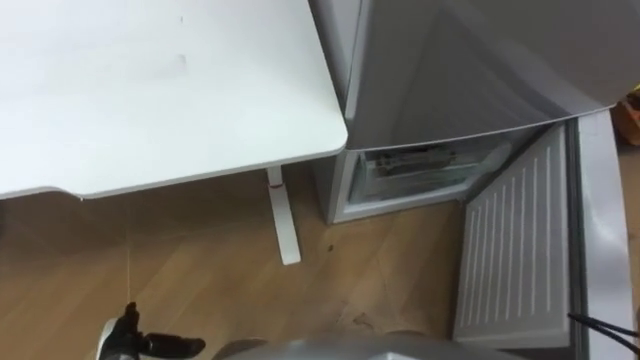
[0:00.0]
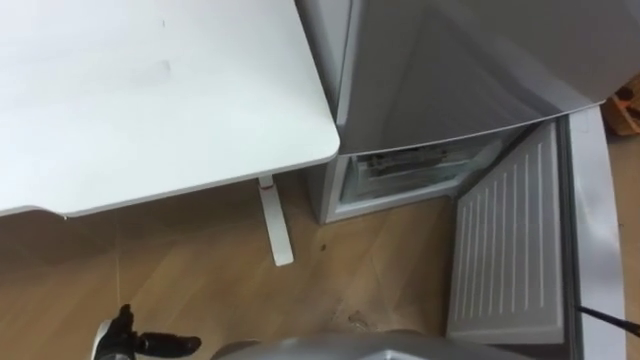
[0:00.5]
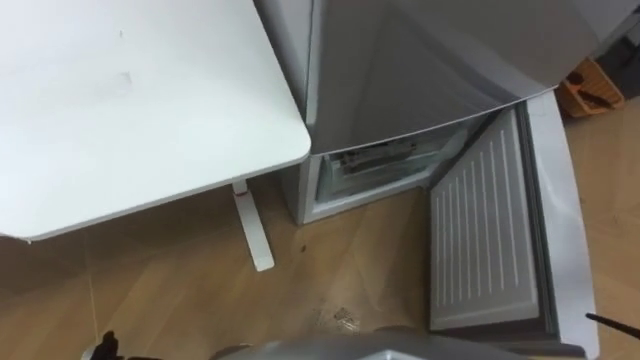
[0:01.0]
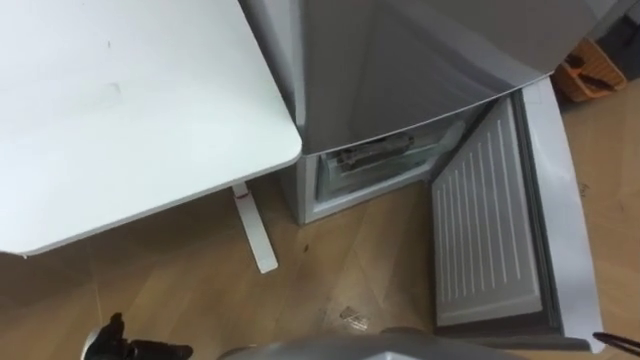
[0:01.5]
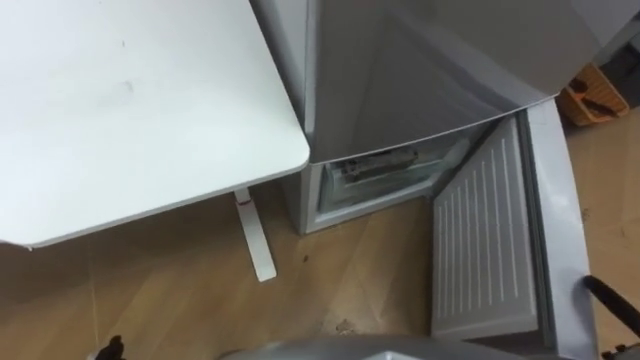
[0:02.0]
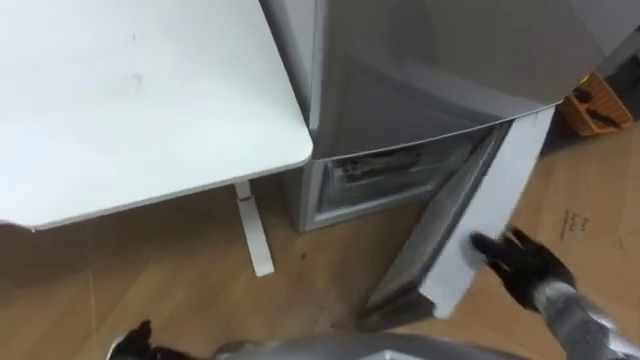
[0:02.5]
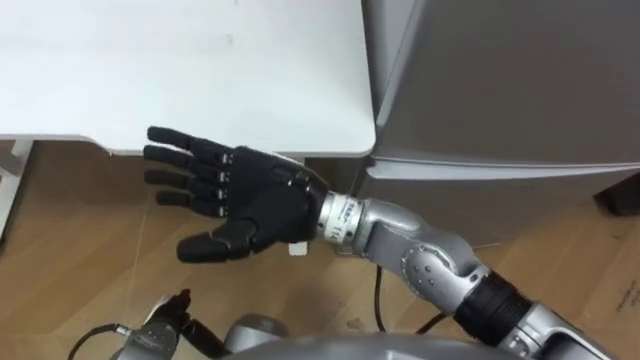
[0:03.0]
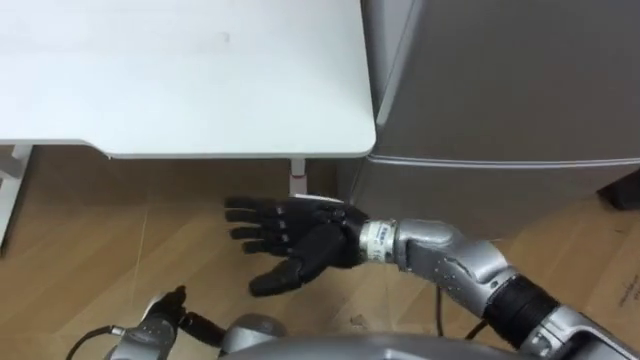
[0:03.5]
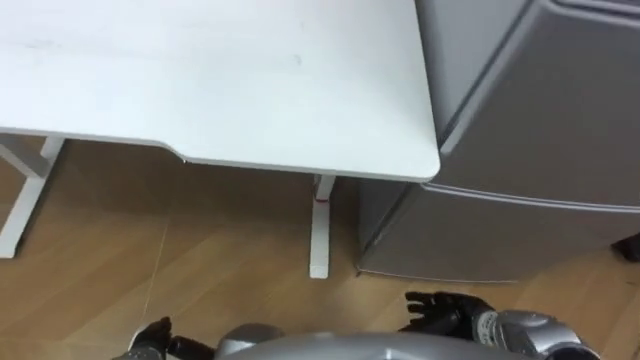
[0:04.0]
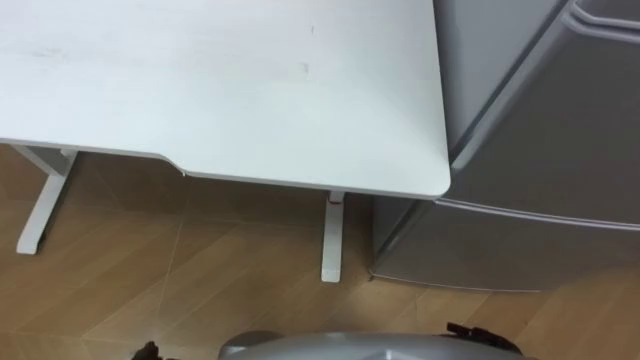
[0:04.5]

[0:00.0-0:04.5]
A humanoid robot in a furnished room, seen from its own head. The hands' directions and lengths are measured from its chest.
Task of the whole recording: Place the drink on the table on the bottom shelf of the refrigerator, then close the drawer and the refrigerator door.
0:02.0 to 0:04.5: The robot faces about 15 degrees further to its left.

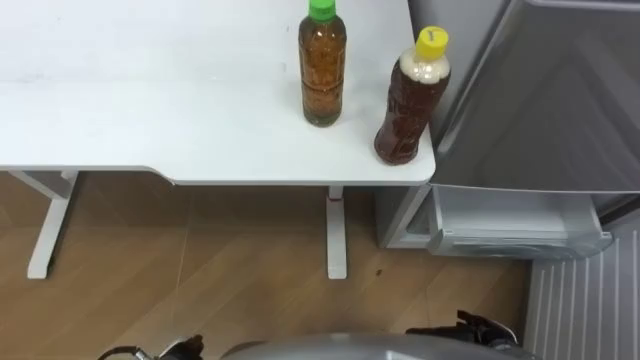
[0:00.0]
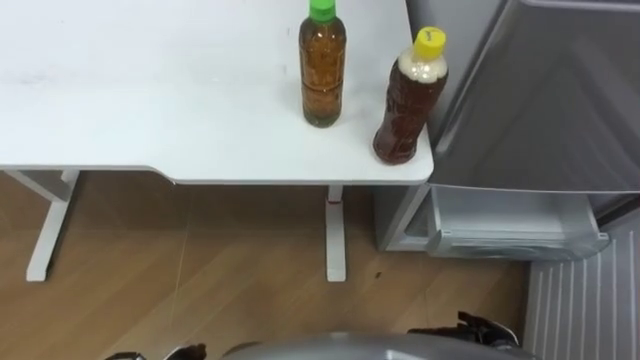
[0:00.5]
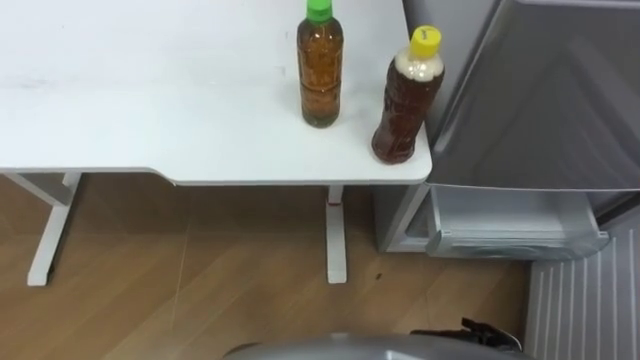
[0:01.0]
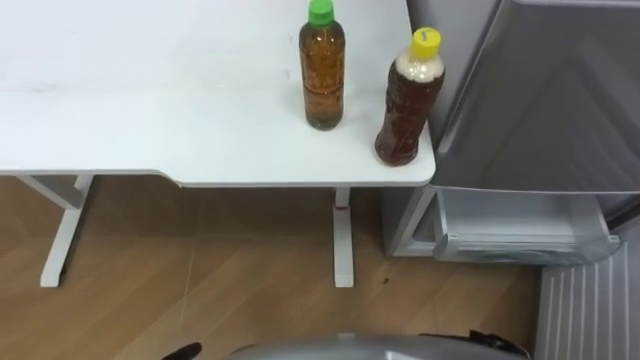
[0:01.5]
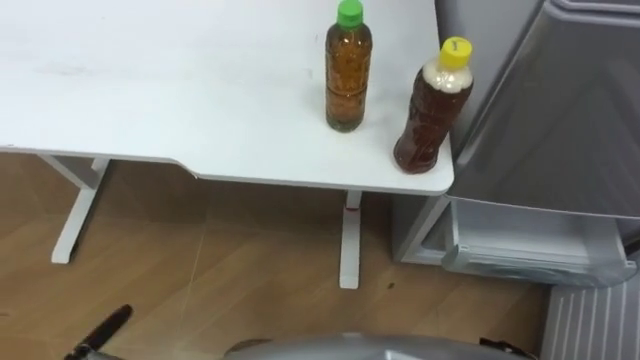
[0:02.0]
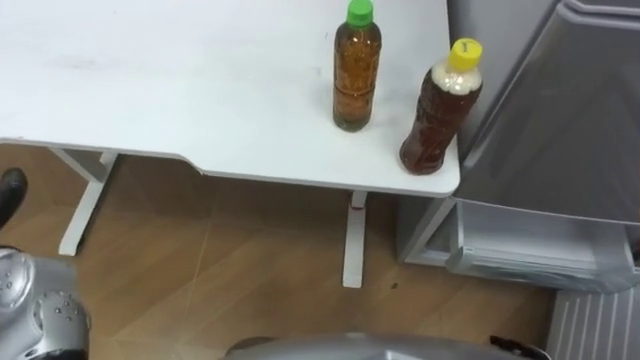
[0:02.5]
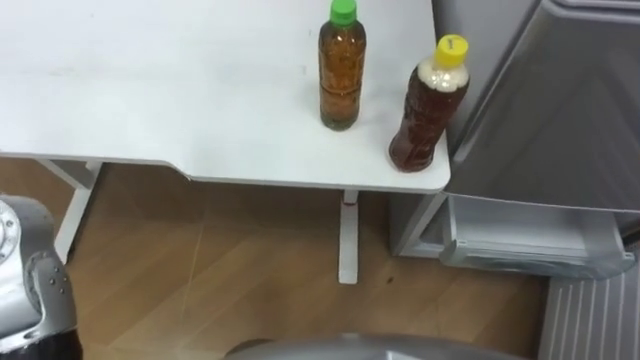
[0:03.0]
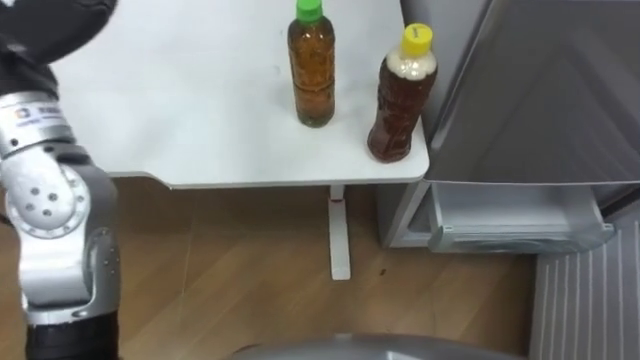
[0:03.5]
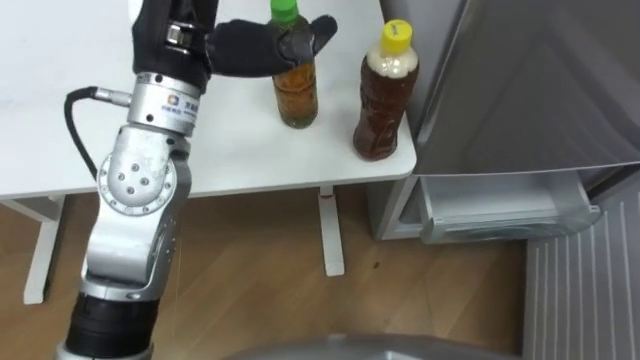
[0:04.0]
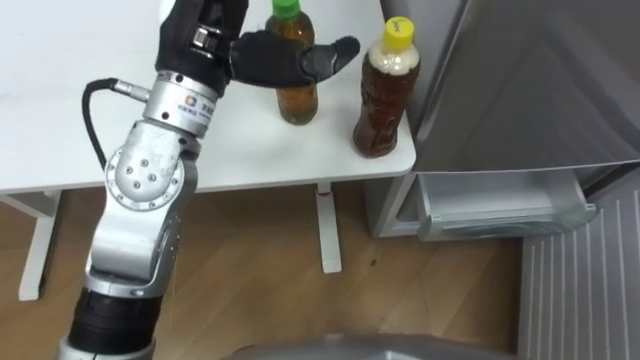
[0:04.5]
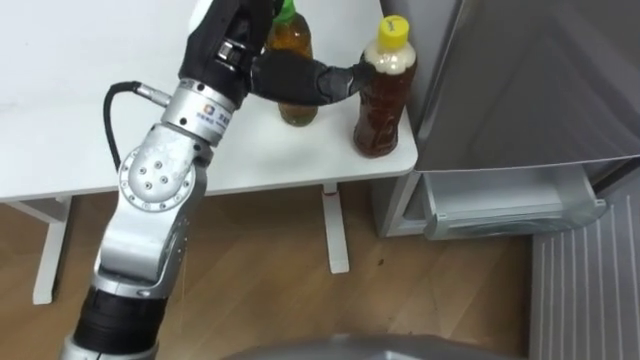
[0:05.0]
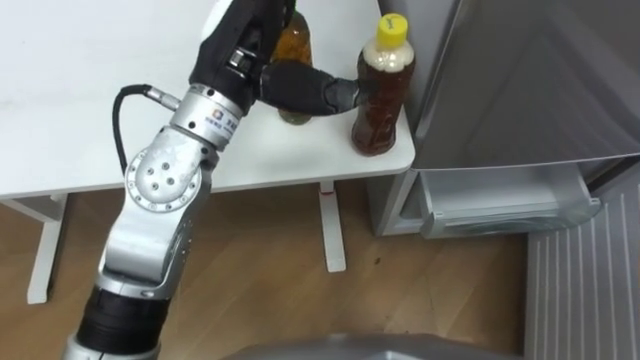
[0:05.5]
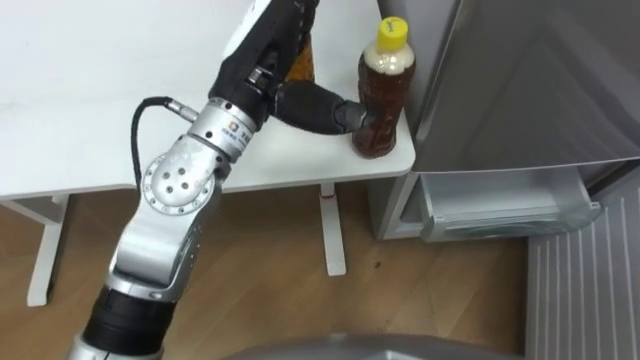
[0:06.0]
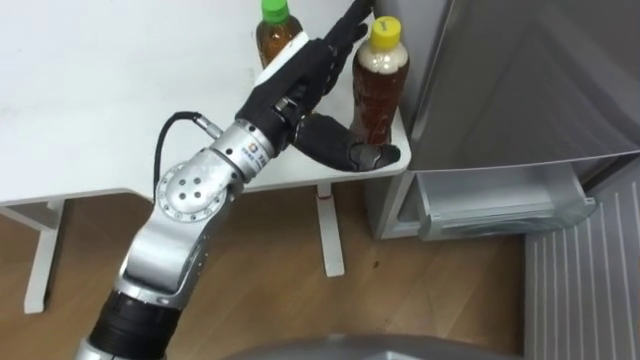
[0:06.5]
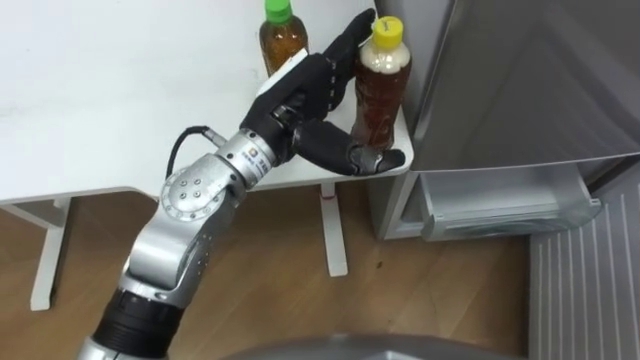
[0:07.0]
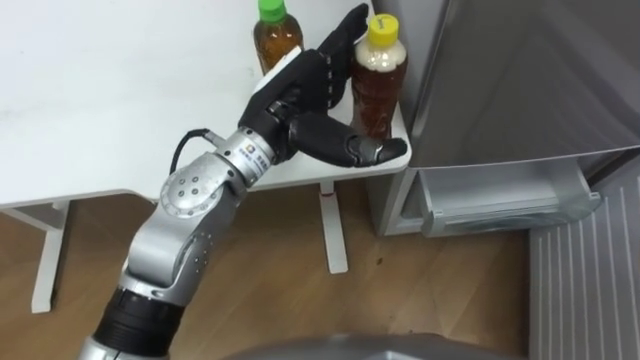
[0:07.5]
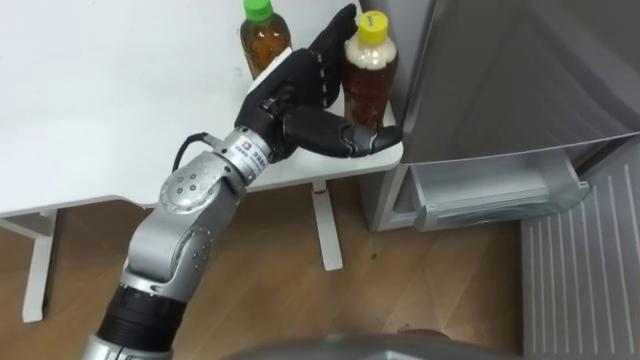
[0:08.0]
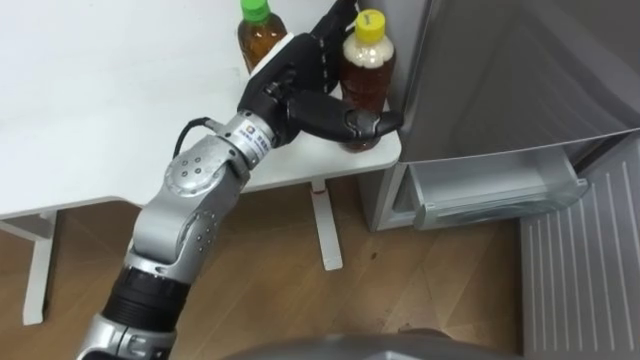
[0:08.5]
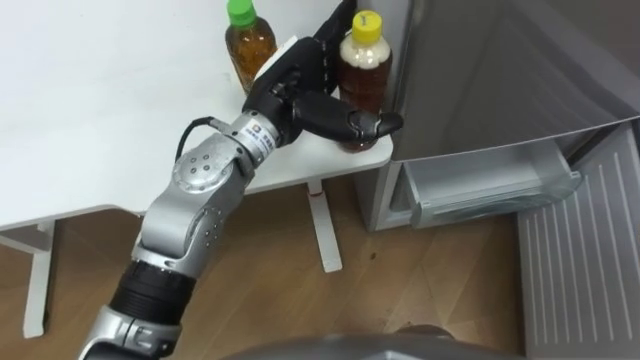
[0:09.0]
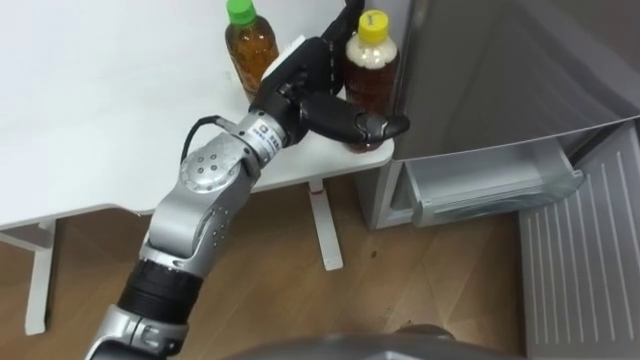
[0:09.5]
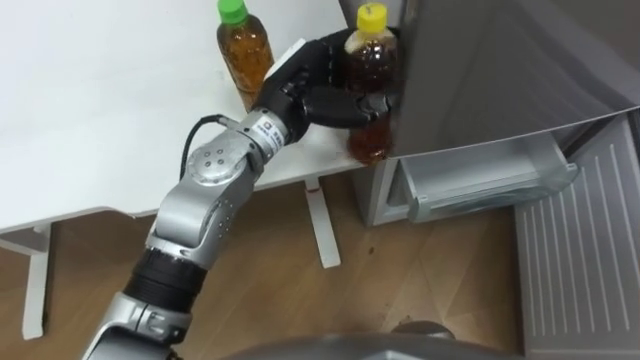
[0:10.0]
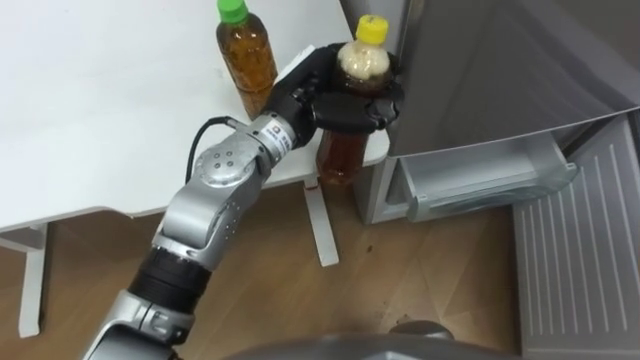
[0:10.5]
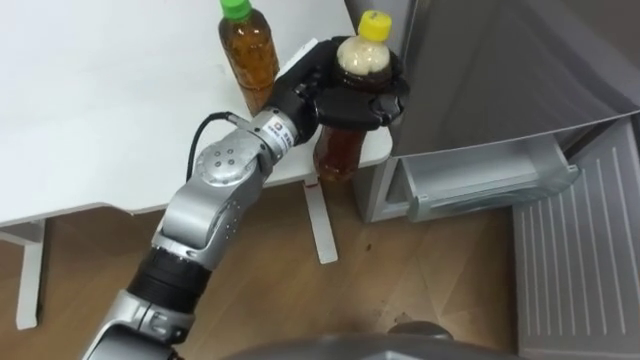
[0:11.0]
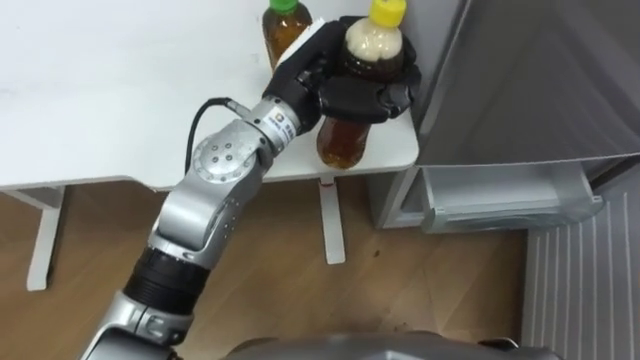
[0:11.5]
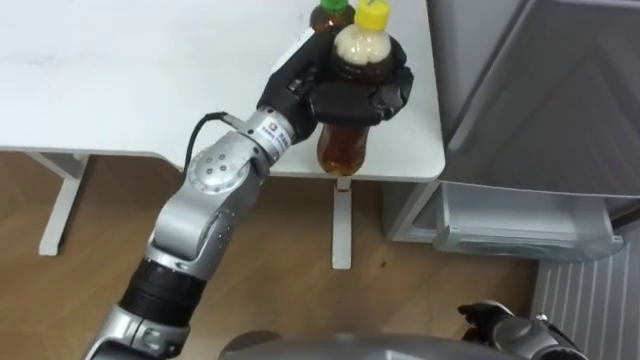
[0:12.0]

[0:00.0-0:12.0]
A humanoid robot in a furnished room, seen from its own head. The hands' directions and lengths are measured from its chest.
Task of the whole recording: Place the drink on the table on the bottom shelf of the refrigerator, then close the drawer and the refrigerator door.
0:04.0 to 0:06.0: The left hand heads to the right and downward, covering about 10 cm.
0:06.0 to 0:08.0: The left hand heads downward, covering about 5 cm.
0:08.0 to 0:10.0: The left hand closes.
0:10.0 to 0:12.0: The left hand closes.

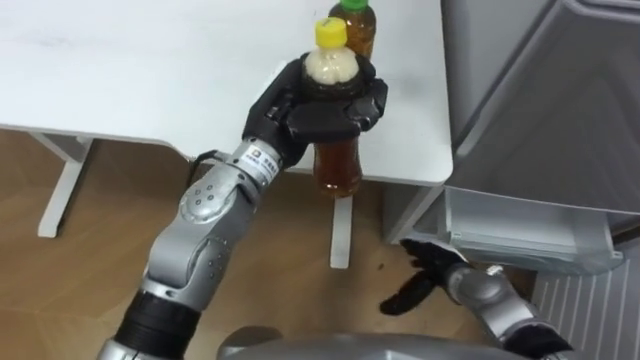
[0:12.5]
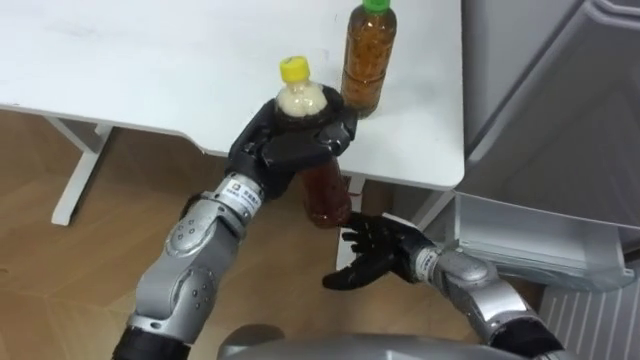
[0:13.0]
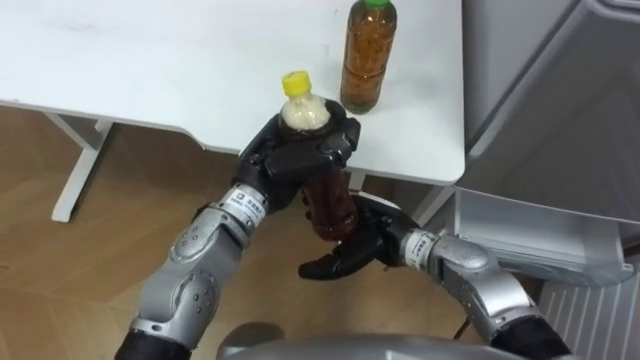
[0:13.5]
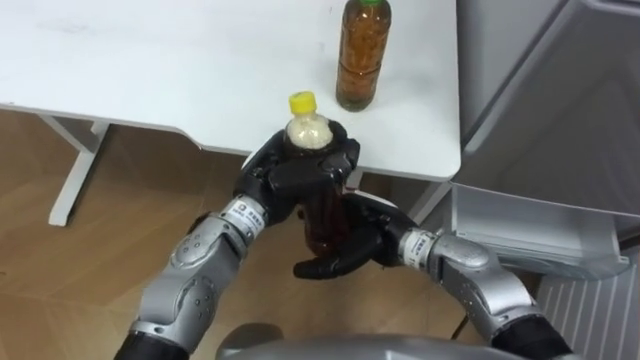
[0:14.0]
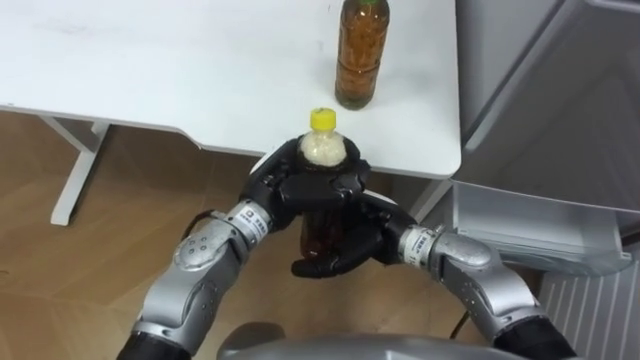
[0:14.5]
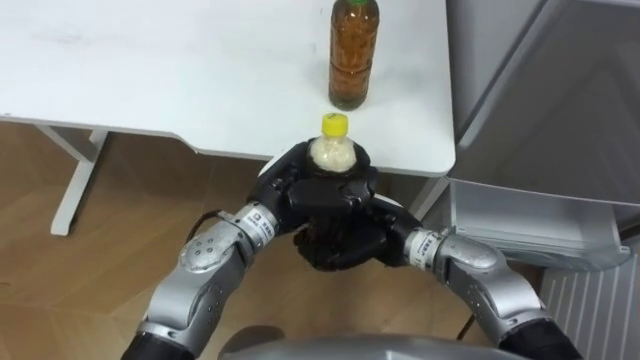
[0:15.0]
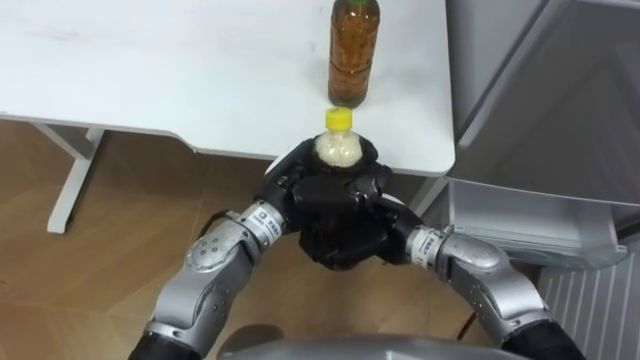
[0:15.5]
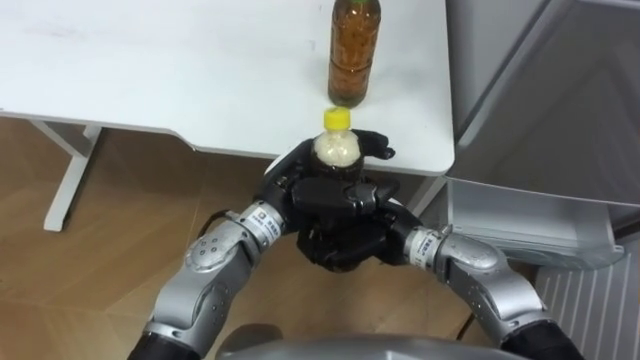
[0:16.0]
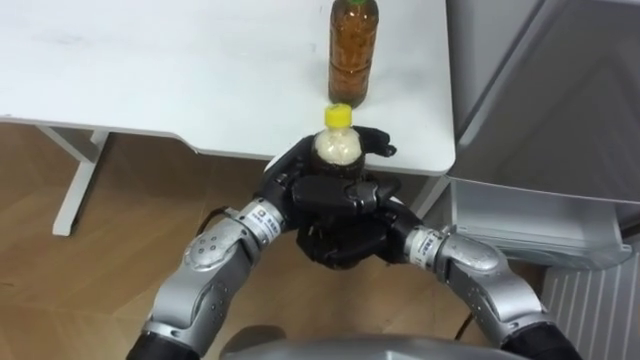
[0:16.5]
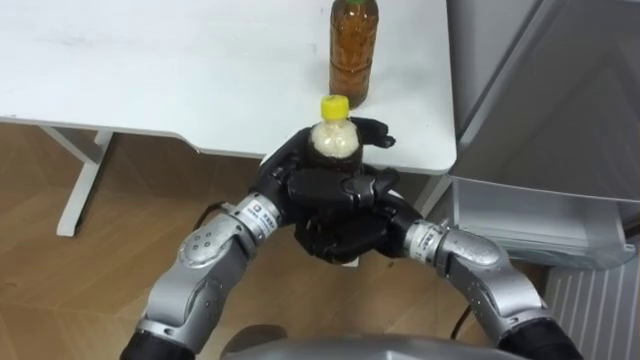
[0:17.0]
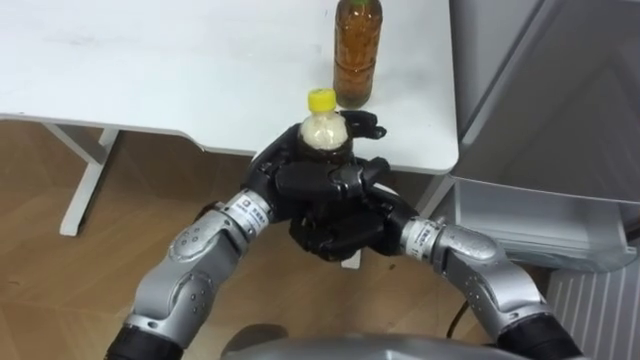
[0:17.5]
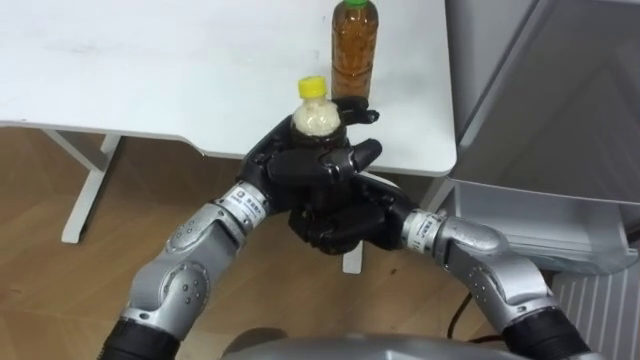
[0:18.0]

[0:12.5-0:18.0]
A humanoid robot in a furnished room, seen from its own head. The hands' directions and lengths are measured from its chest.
Task of the whole recording: Place the drink on the table on the bottom shelf of the refrigerator, then close the drawer and the refrigerator door.
0:12.5 to 0:14.5: The right hand is displaced upward and to the left by approximately 15 cm. The left hand moves downward, roughly 10 cm.
0:14.5 to 0:16.0: The right hand closes its fingers.
